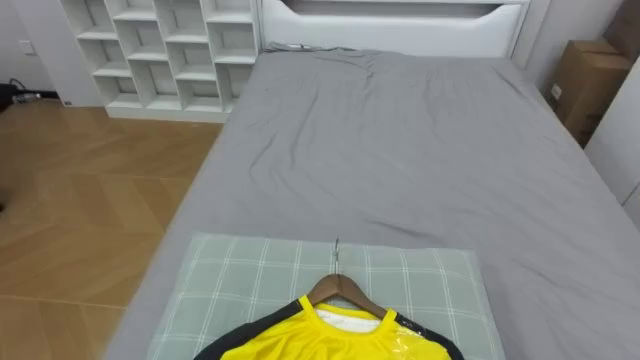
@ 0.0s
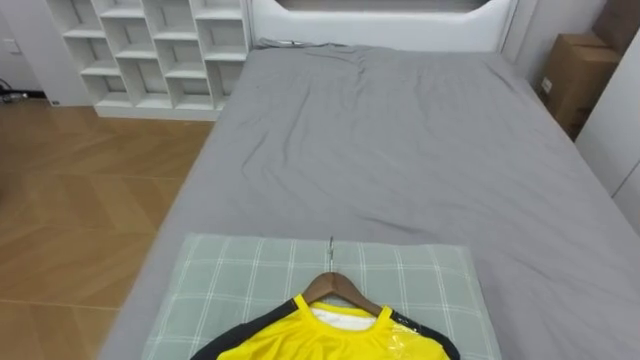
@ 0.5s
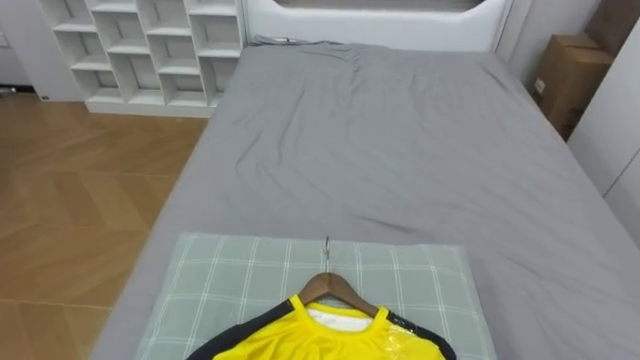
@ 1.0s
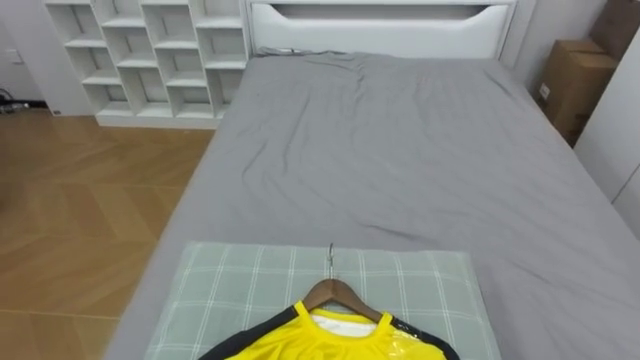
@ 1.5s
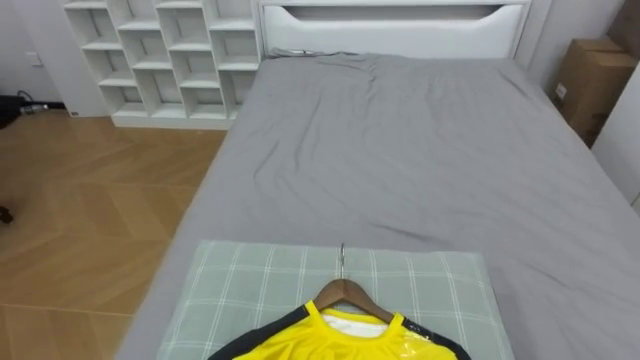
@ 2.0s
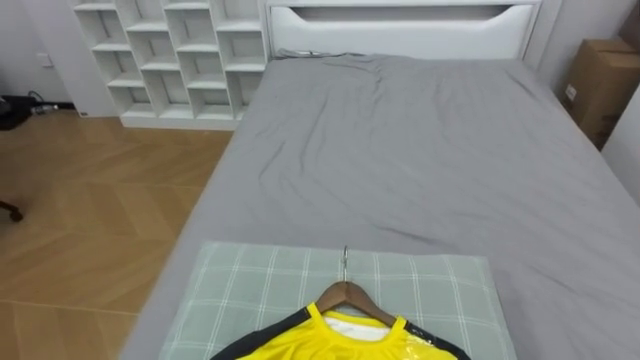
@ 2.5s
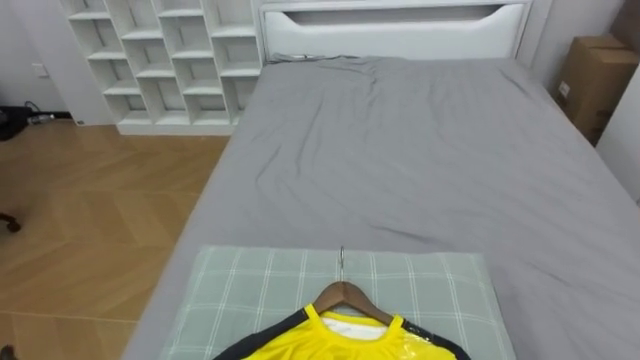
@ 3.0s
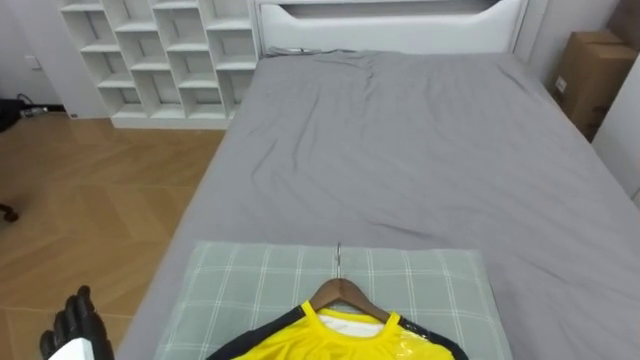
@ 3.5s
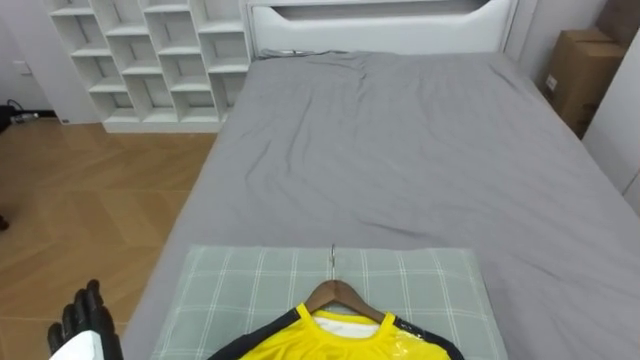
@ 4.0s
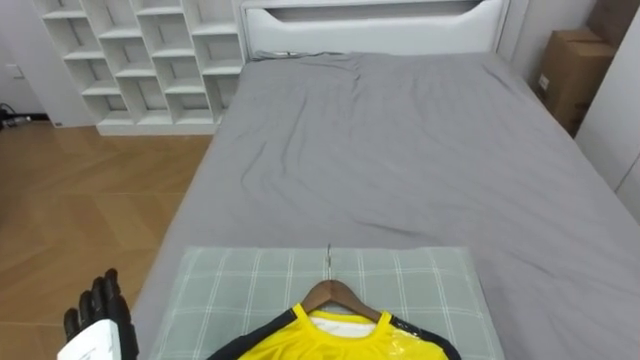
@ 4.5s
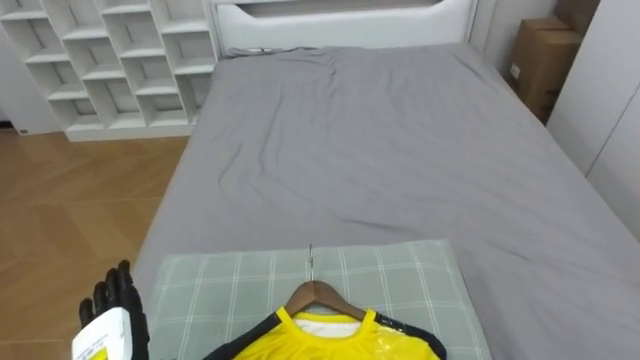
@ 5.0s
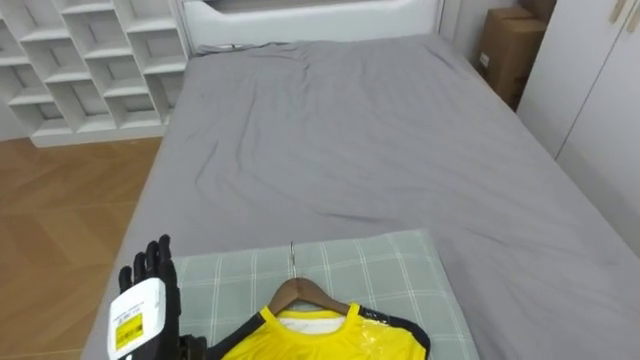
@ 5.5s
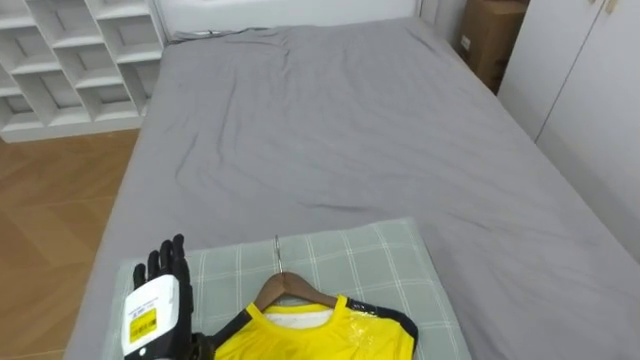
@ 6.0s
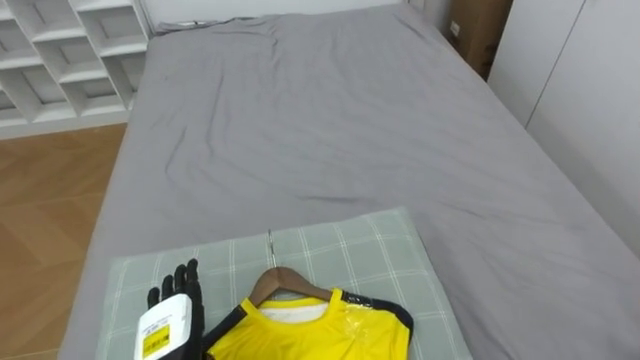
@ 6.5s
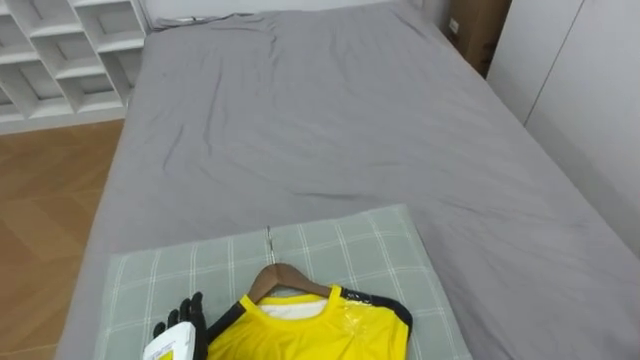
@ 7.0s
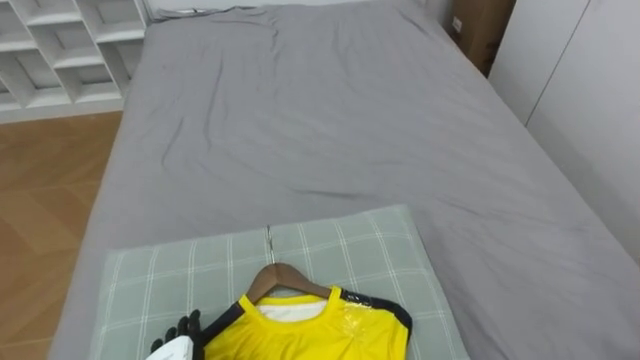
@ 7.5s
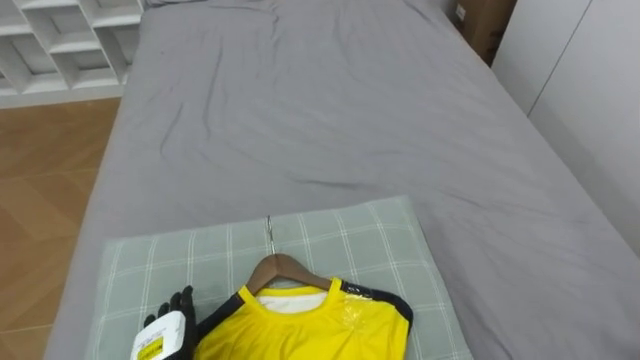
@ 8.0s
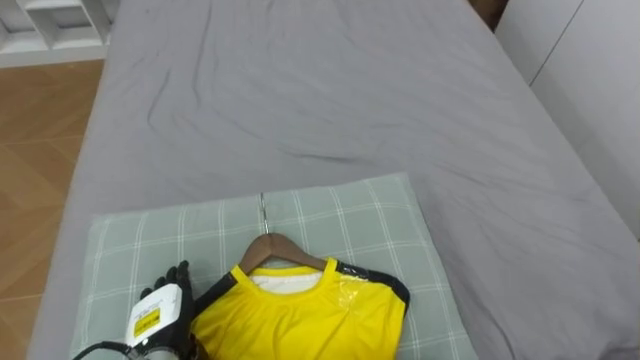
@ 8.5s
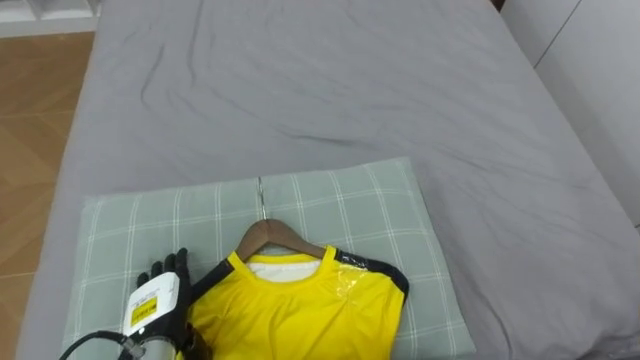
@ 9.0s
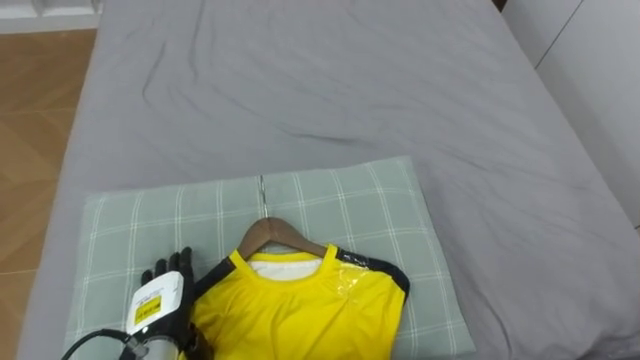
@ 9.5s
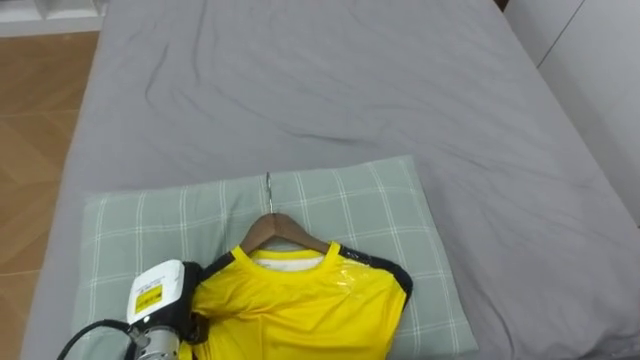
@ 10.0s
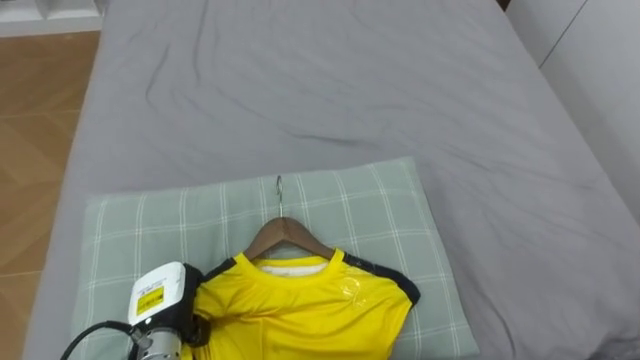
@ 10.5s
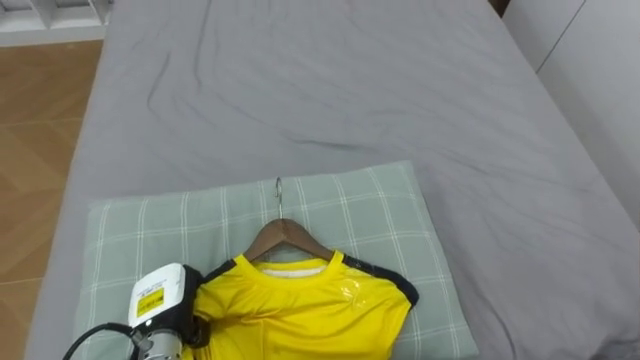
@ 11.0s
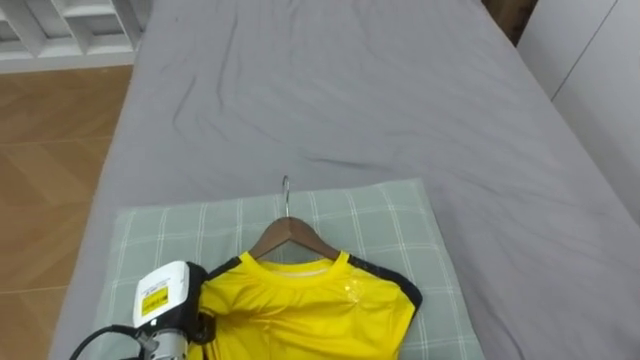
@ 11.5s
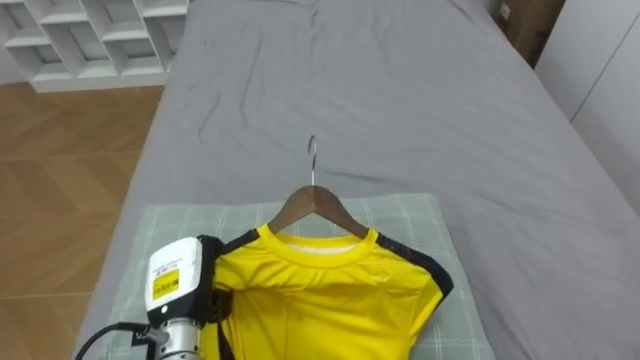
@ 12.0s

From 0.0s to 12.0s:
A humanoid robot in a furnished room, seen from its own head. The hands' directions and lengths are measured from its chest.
Task of the whole recording: Pick up the yellow shirt on the bed and hang it on the clothes rack on the right.
From 8.0s to 10.0s: The left hand travels forward by about 5 cm, and closes up.
From 10.0s to 12.0s: The left hand moves some 5 cm.

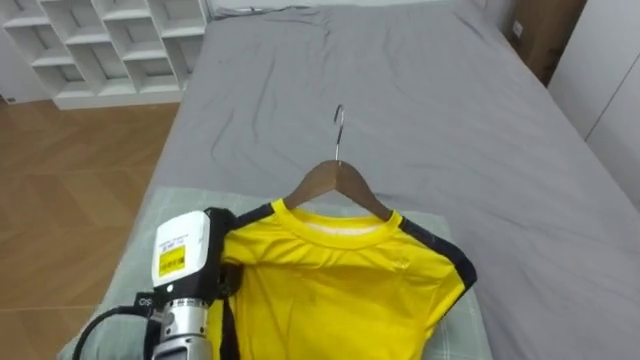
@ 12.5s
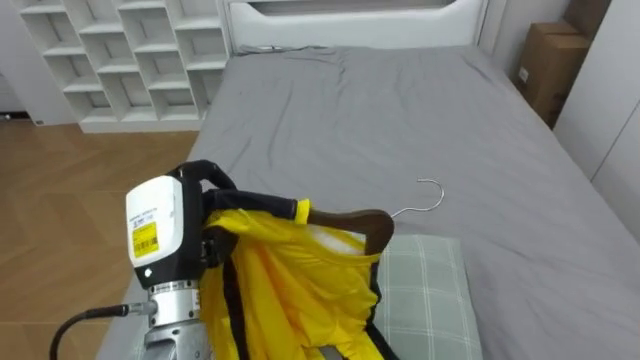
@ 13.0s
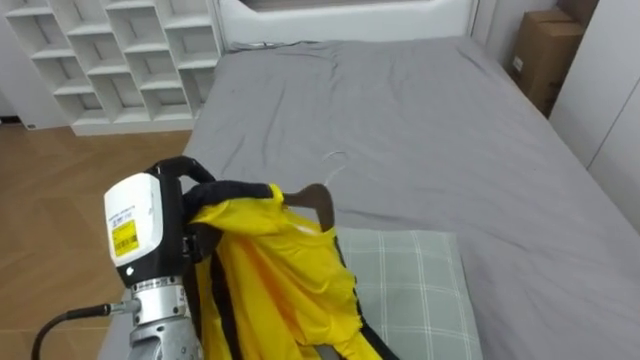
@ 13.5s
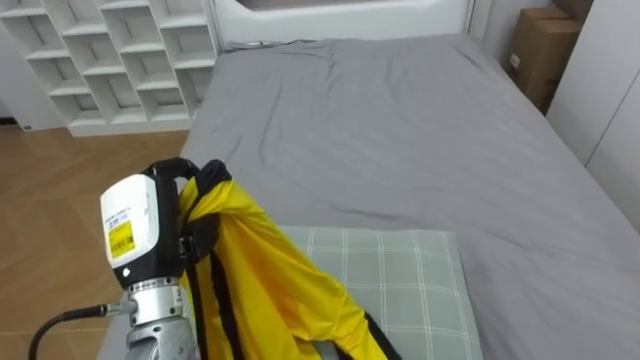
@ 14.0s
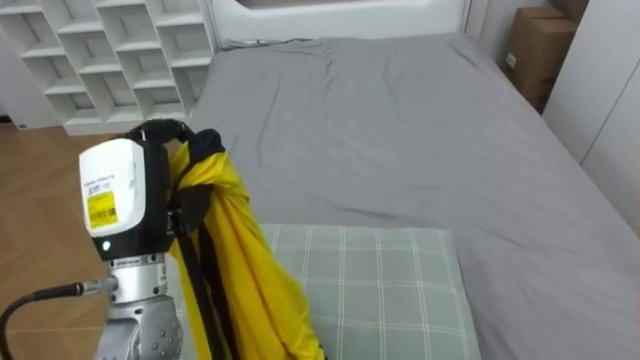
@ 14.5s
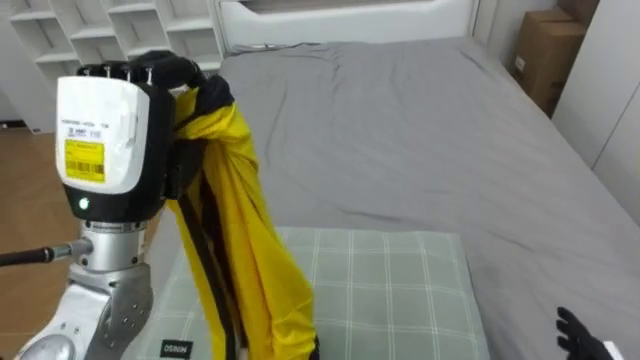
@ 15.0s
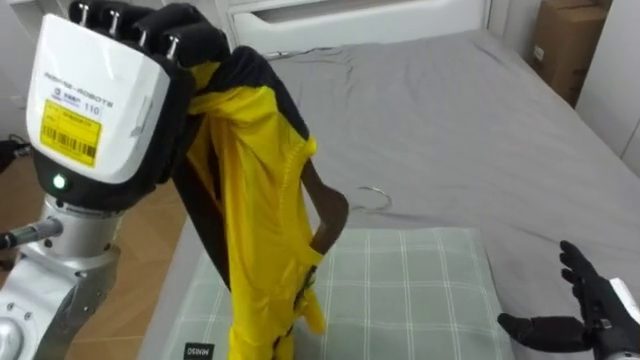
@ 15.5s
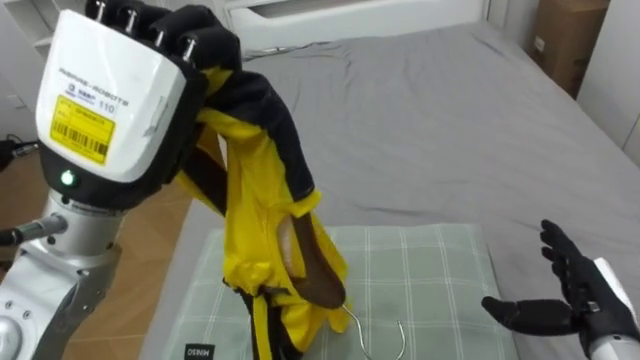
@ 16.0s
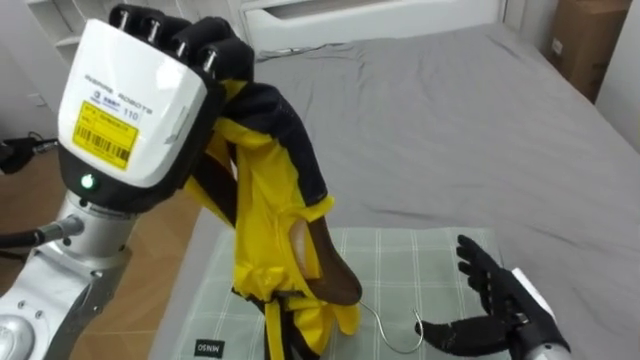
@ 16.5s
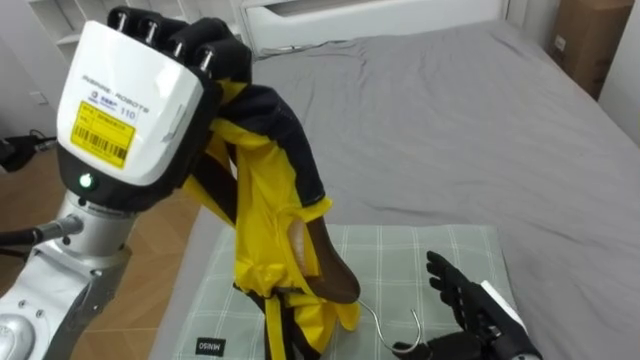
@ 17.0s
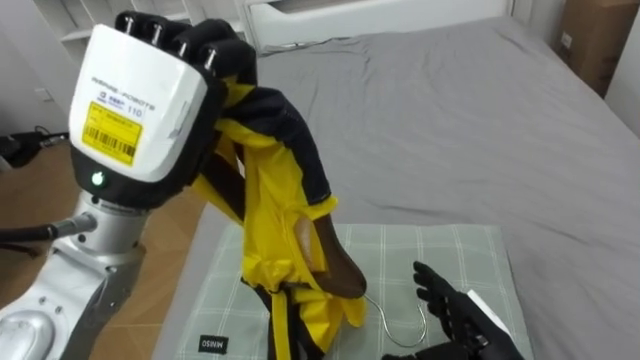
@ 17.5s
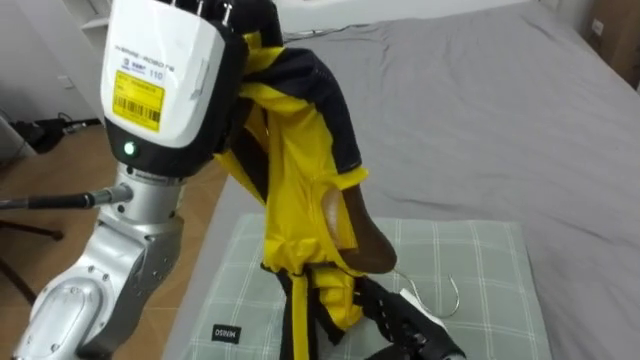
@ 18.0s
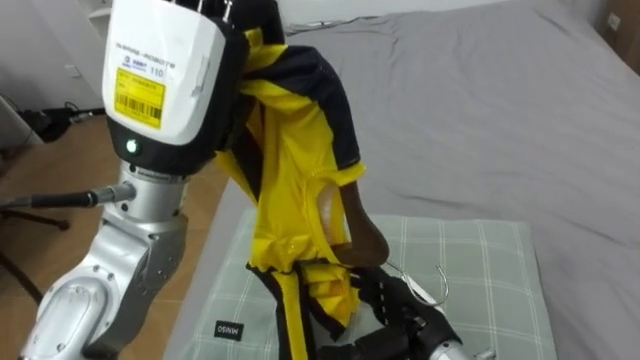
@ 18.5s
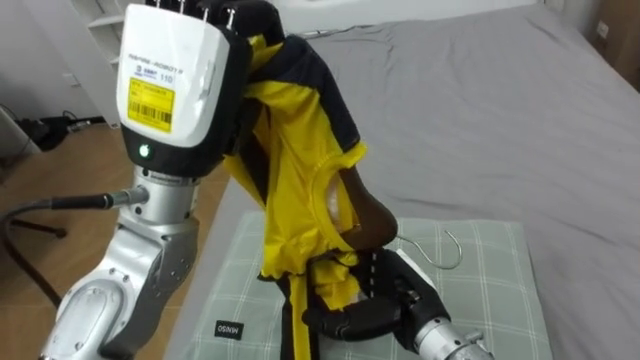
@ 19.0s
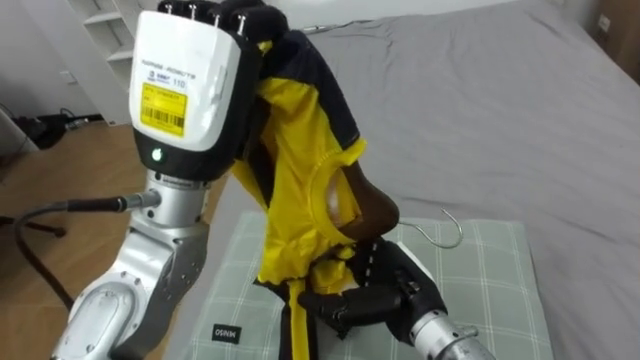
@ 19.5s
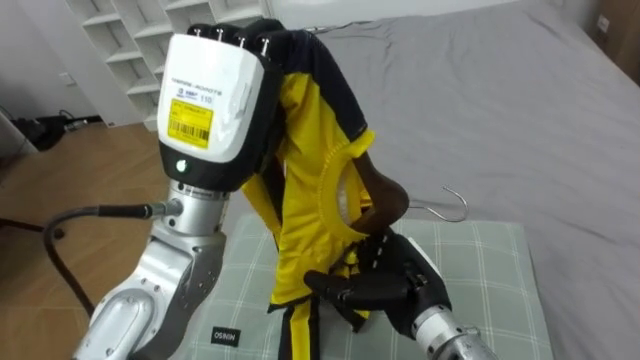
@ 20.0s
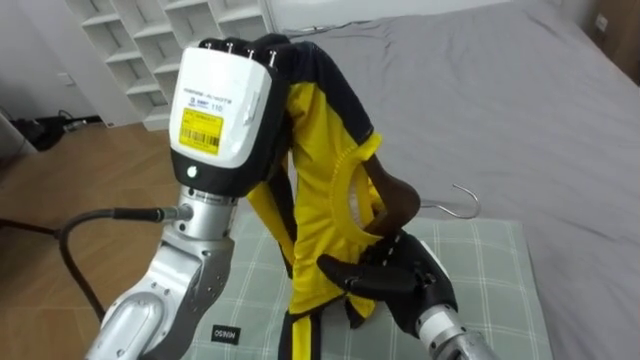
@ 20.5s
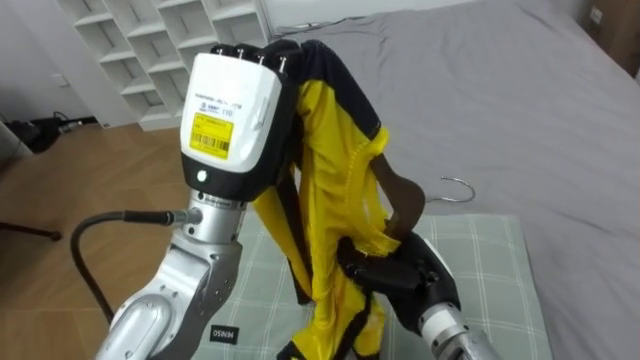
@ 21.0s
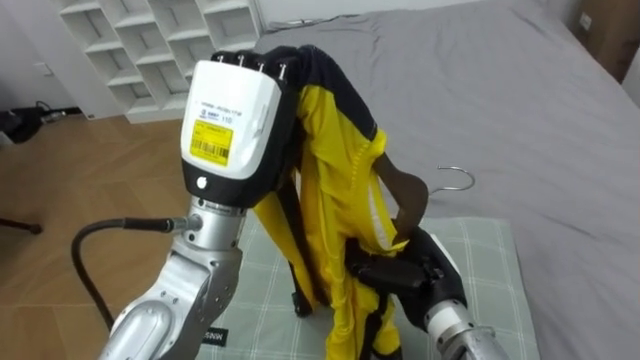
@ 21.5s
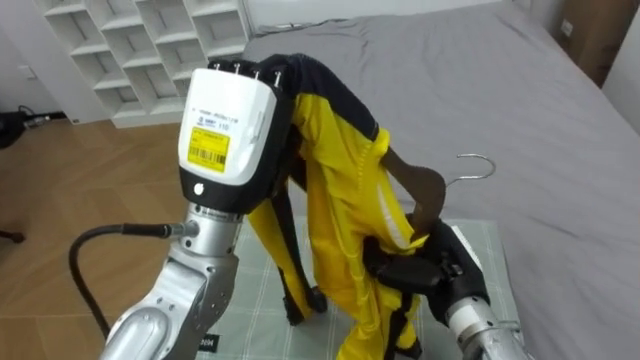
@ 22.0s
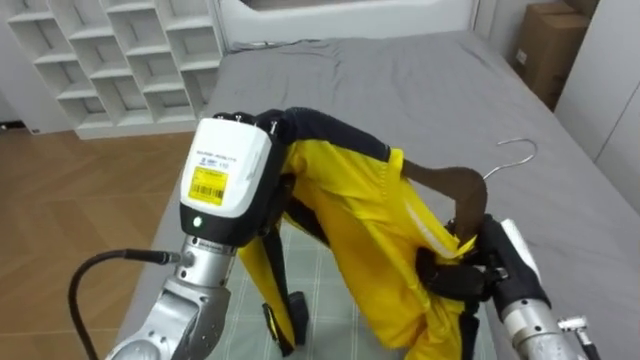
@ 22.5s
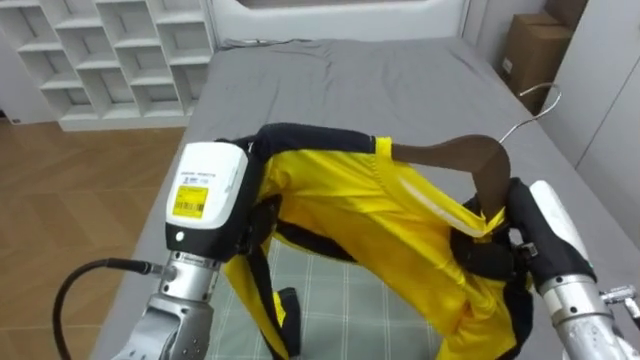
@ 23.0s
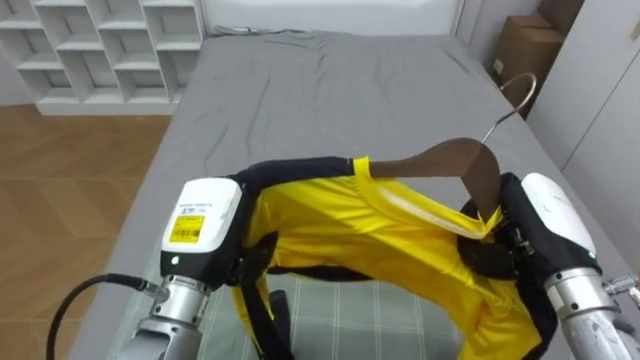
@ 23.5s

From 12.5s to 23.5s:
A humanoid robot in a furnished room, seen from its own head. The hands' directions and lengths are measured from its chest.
Task of the whole recording: Pick up the yellow shirt on the bed and hang it on the clothes rack on the right.
From 12.5s to 14.5s: The left hand heads upward, covering about 15 cm.
From 14.5s to 16.0s: The left hand shifts some 15 cm upward.
From 16.0s to 18.0s: The right hand heads to the left, covering some 20 cm.
From 18.0s to 20.0s: The right hand goes some 5 cm upward.
From 20.0s to 21.5s: The right hand closes.
From 21.5s to 23.5s: The right hand goes about 15 cm to the right and upward. Meanwhile the left hand goes approximately 15 cm downward, and opens its fingers.
